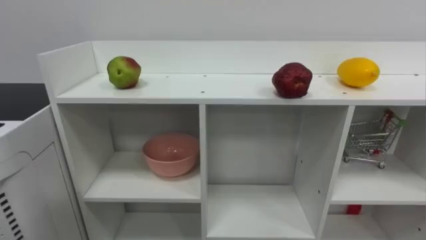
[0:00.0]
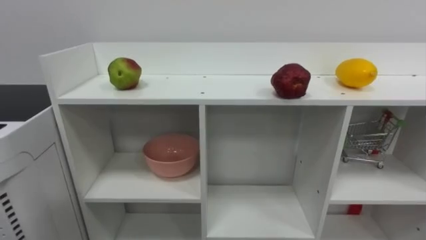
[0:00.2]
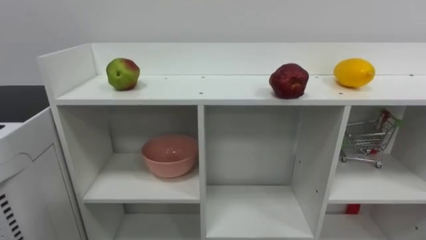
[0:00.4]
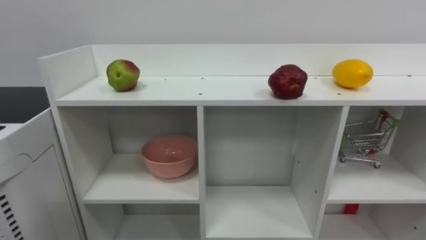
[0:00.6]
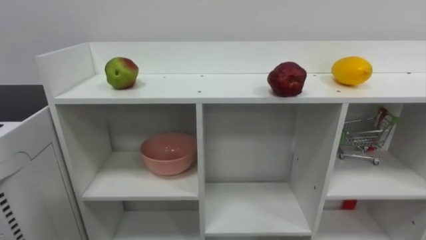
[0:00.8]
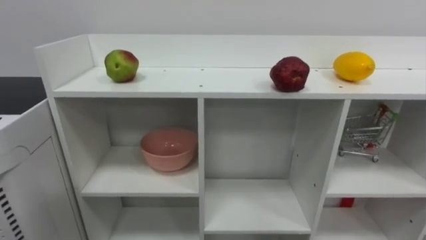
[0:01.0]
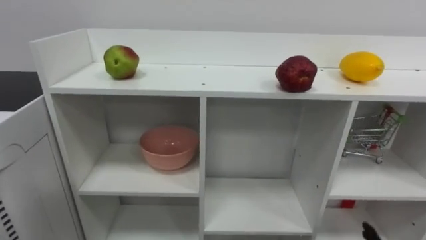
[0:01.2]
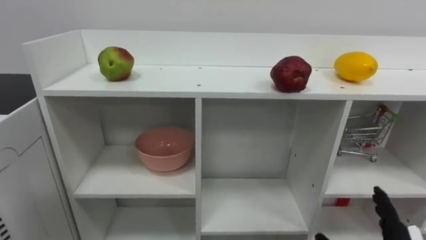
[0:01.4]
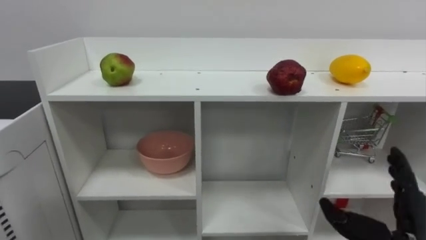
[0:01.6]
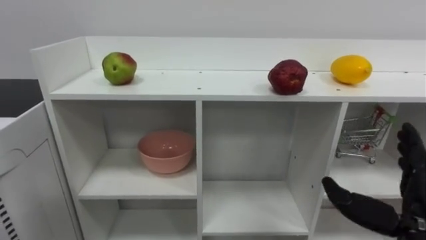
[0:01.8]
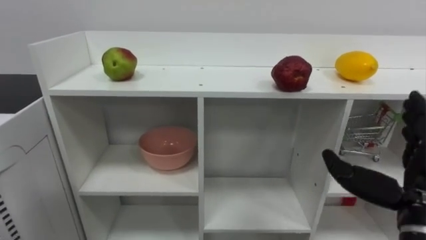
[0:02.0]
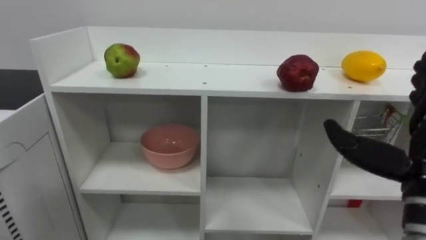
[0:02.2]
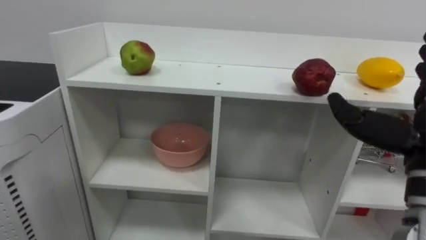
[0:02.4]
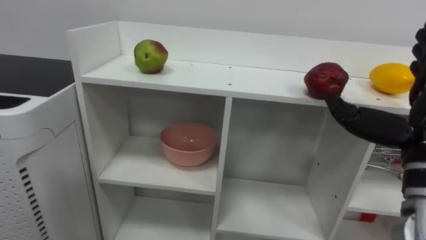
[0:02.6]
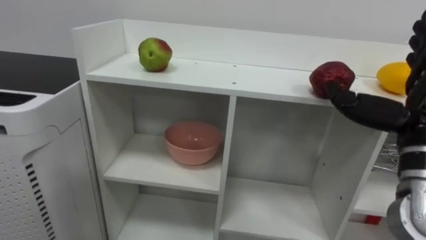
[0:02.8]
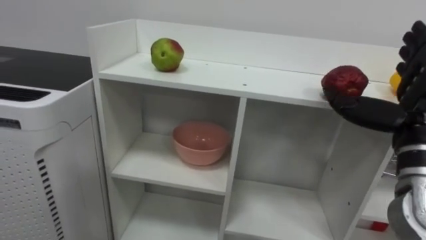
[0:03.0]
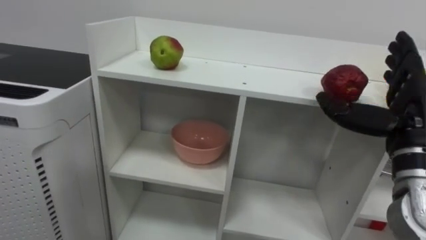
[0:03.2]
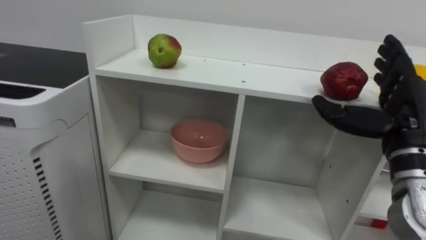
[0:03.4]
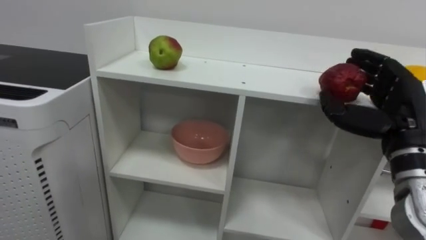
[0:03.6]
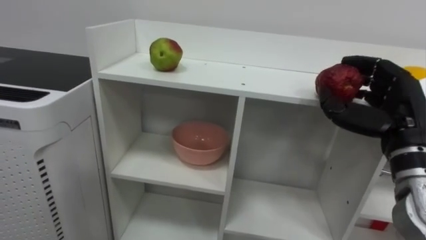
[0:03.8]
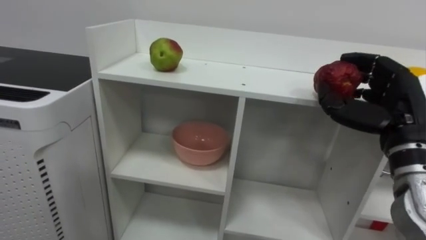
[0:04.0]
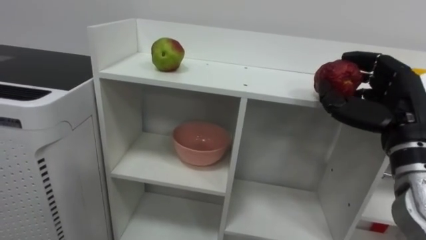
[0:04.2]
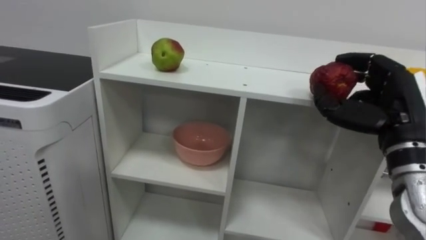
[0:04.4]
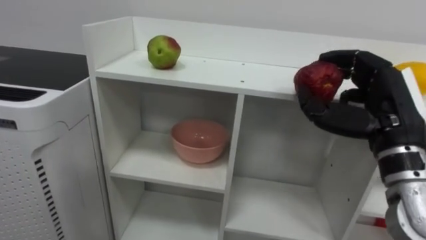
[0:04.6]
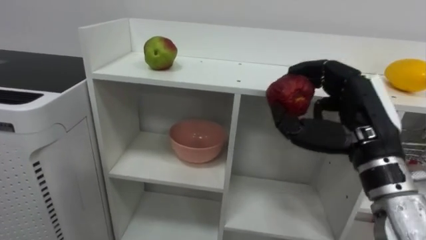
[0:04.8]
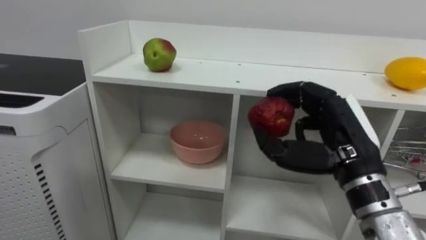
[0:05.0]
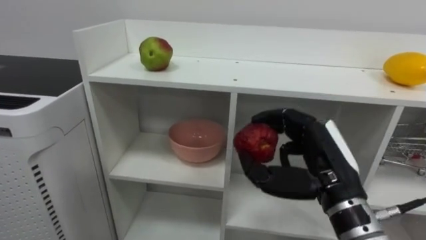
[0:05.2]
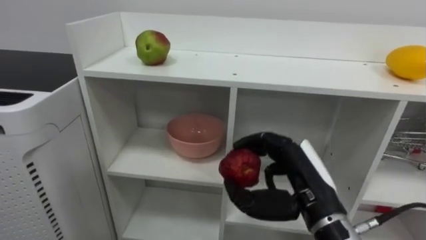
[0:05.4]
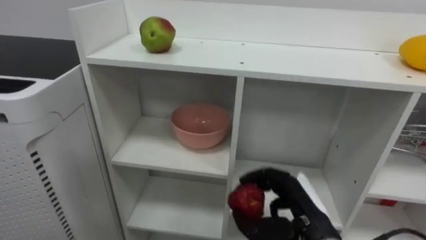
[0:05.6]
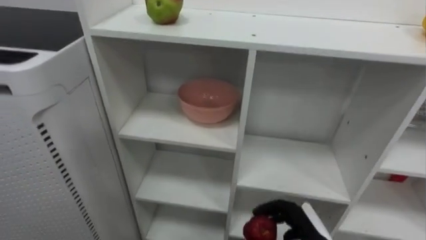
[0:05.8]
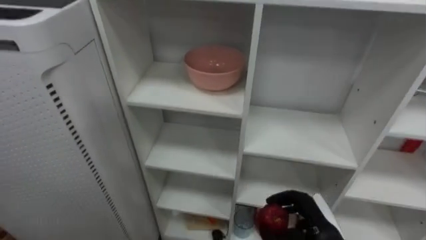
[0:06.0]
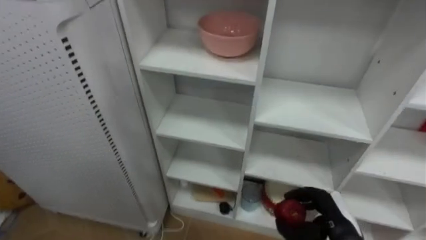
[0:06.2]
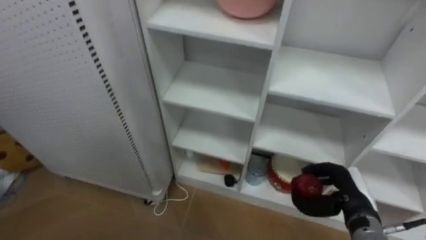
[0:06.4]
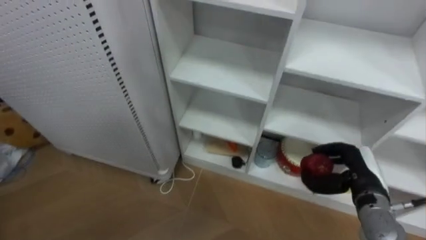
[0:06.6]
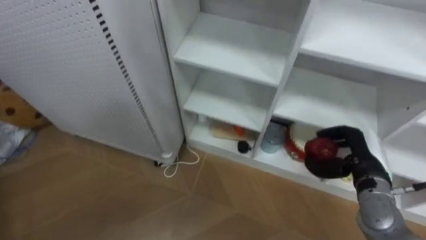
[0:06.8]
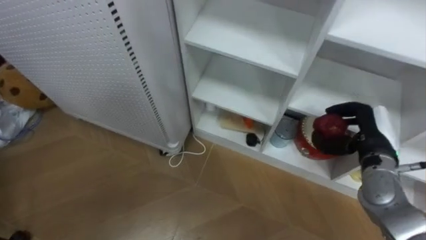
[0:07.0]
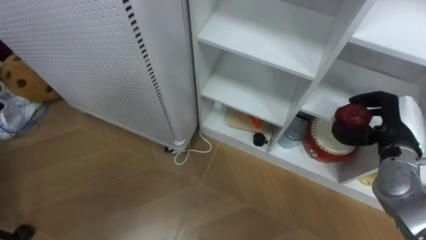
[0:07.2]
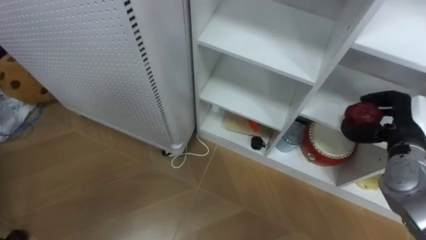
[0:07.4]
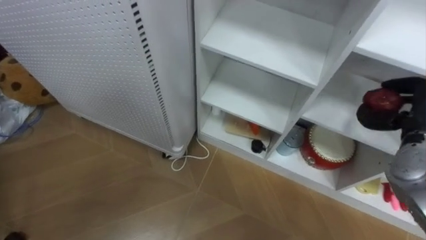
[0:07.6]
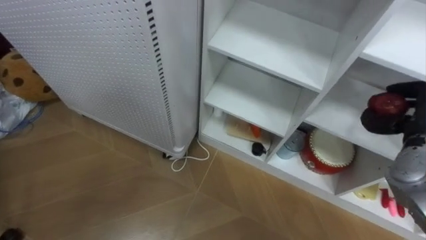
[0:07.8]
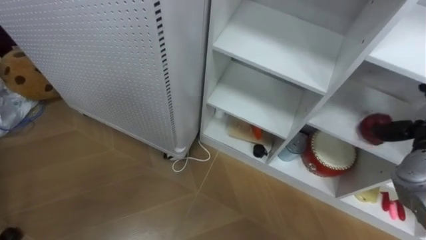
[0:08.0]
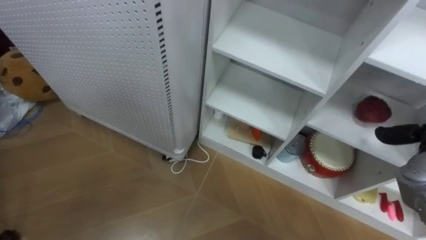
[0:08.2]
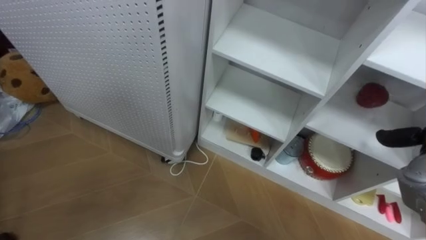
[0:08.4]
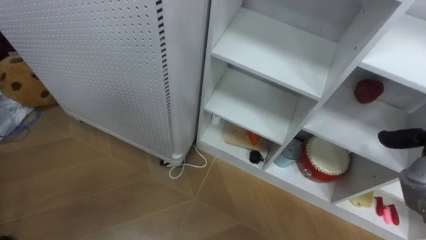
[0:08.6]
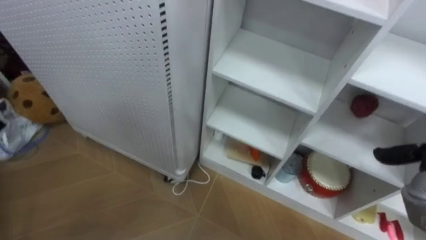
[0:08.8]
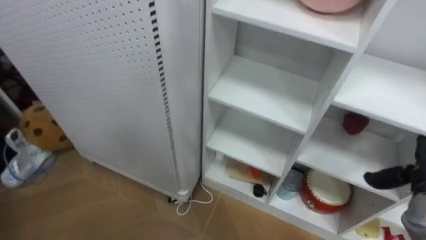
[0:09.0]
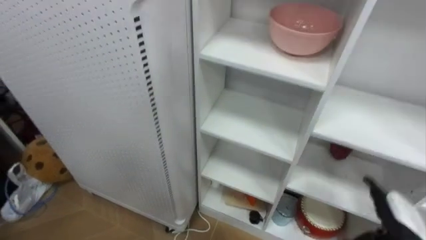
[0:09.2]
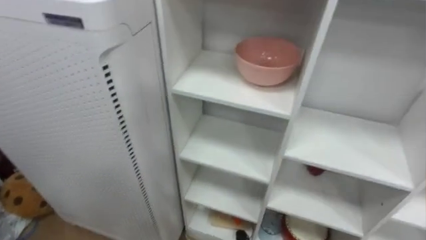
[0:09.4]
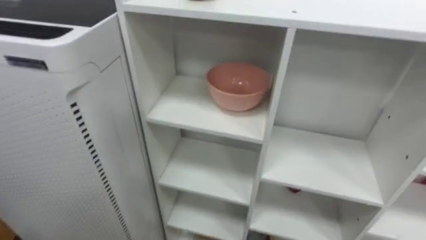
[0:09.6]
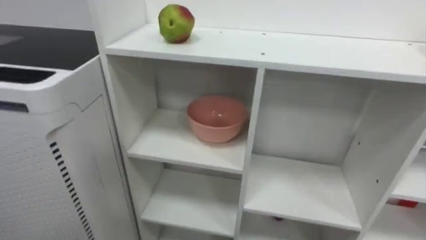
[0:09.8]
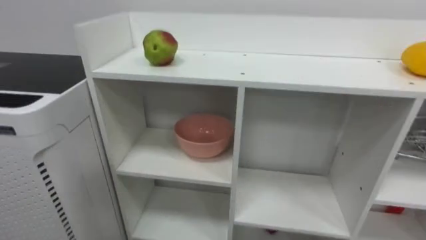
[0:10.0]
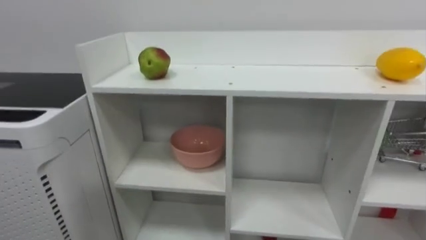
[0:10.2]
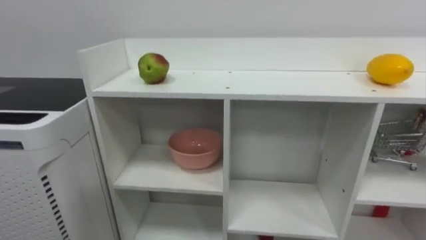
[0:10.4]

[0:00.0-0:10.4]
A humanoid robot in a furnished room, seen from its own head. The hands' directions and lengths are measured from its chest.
Task of the whole recording: Put the apple in the cell in the second column from the left and the second row from the top.
0:03.0 to 0:04.4: The right hand closes.
0:04.4 to 0:06.0: The right hand travels downward by roughly 25 cm.
0:06.0 to 0:07.4: The right hand moves upward, to the right and forward, approximately 25 cm.

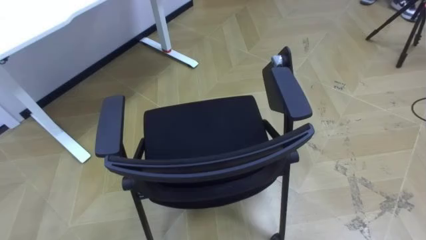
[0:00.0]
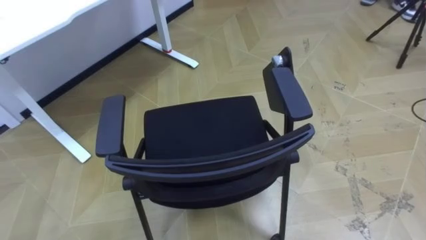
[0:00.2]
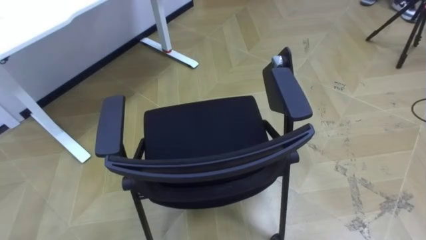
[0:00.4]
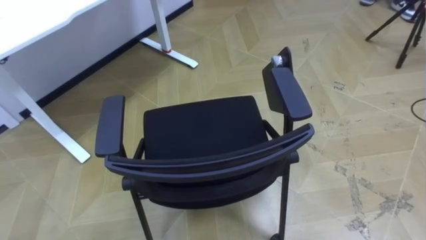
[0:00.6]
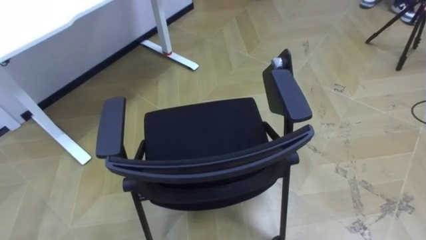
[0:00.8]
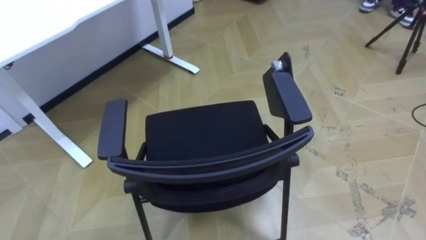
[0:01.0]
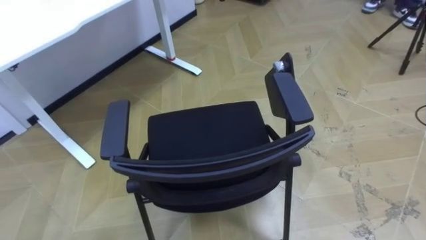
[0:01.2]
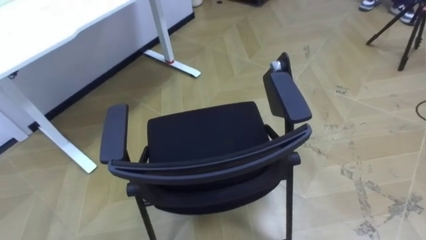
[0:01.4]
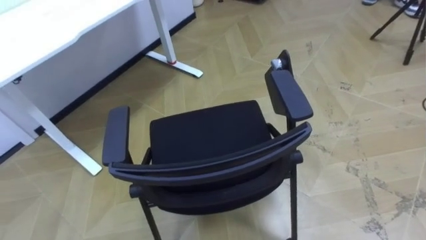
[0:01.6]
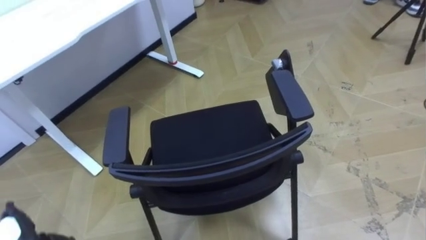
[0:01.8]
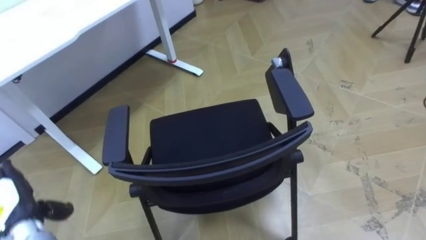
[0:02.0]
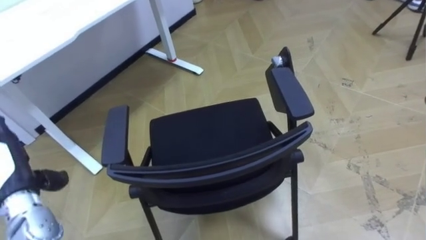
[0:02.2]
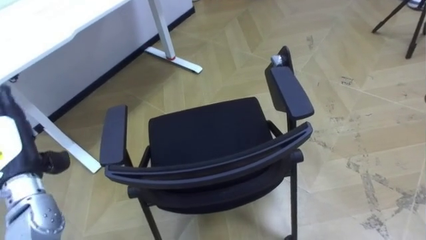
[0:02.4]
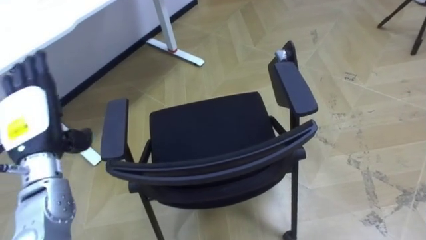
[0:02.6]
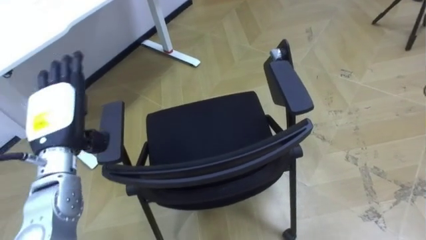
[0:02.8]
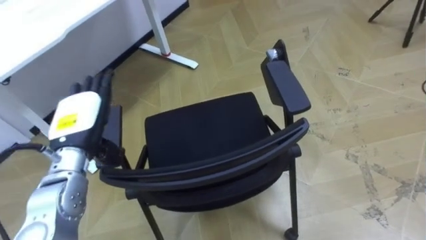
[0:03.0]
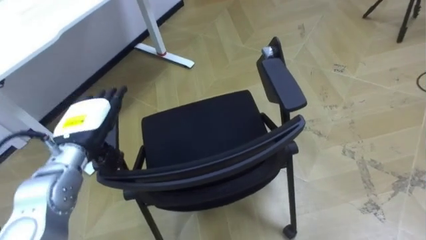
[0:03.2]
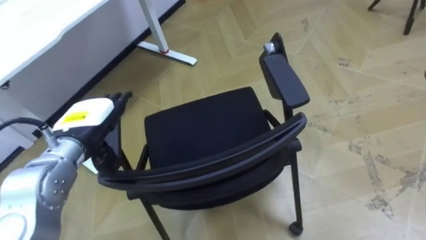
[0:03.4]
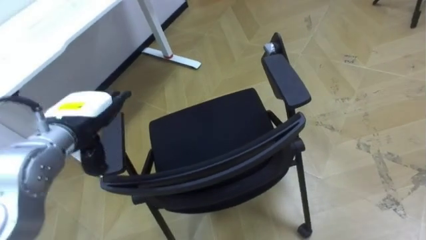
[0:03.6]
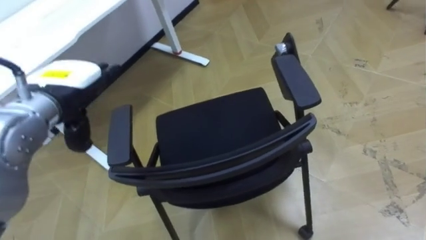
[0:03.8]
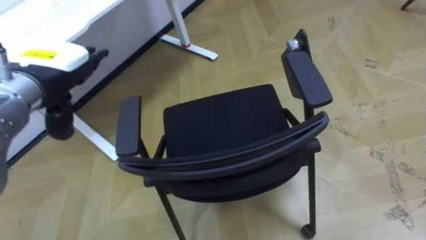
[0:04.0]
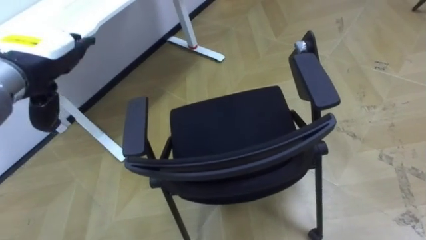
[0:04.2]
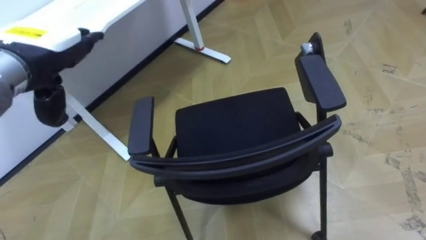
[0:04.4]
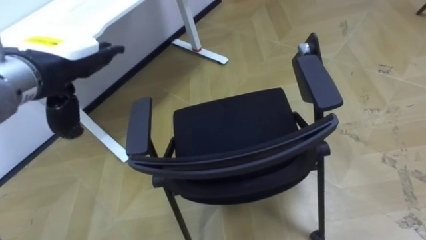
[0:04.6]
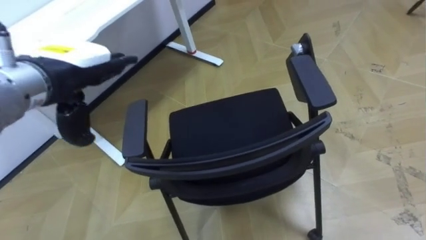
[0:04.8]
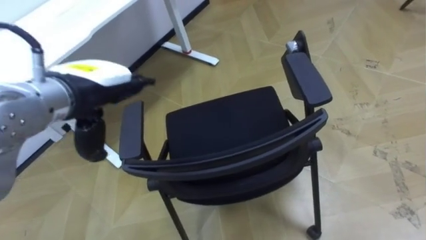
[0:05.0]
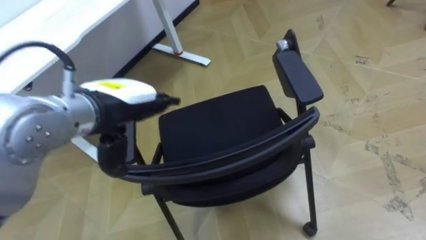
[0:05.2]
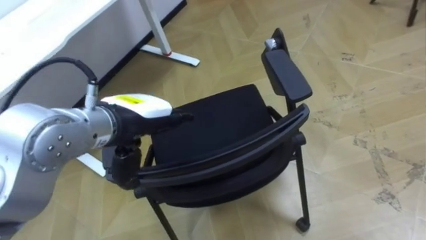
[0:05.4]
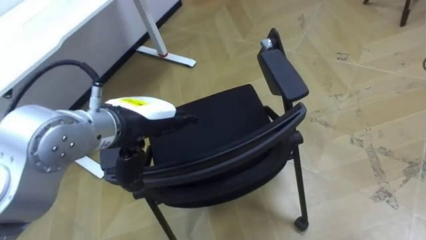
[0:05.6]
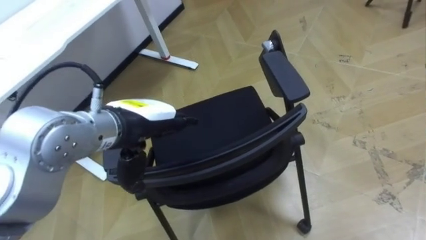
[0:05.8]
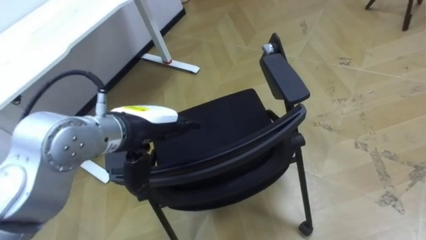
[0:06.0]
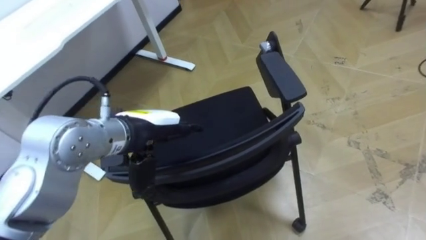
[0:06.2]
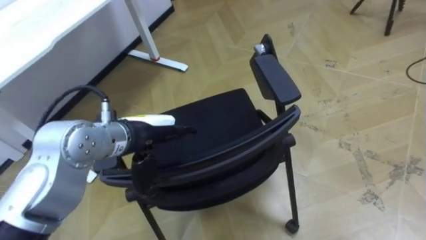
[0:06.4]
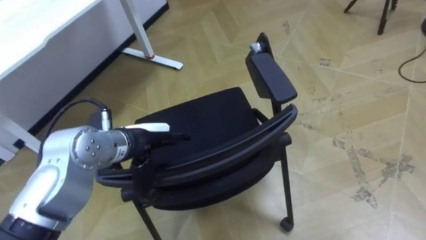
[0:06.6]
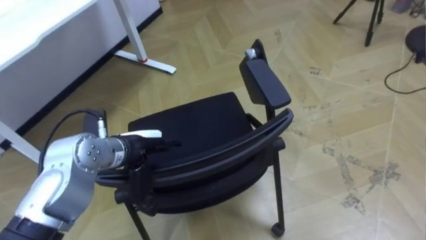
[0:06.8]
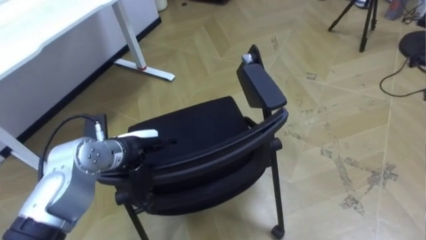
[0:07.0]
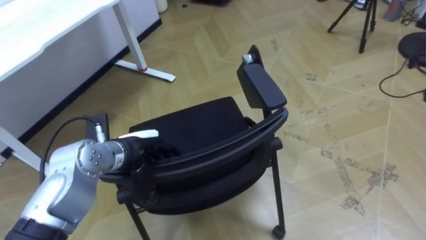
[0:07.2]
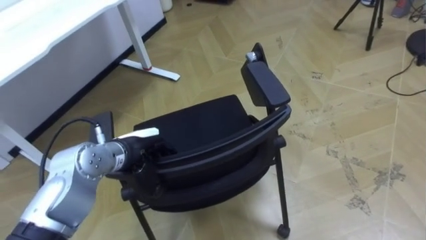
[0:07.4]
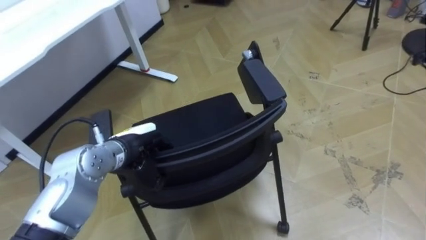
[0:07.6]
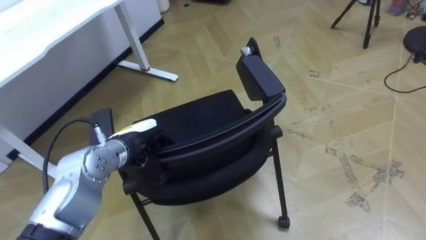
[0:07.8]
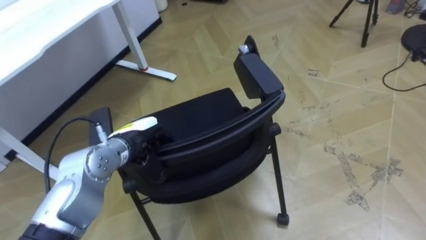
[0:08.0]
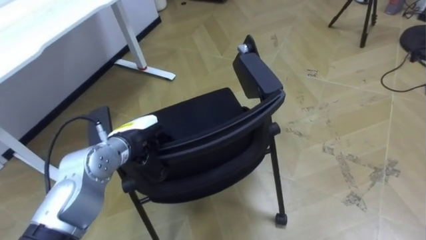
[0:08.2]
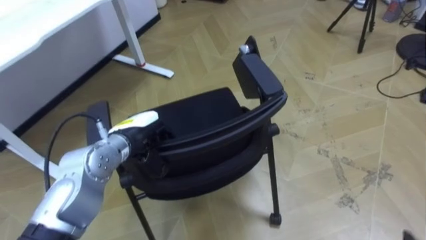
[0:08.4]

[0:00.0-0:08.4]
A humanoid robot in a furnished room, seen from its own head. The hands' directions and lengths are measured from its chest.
Task of the whole recording: Push the chair under the table.
0:02.8 to 0:04.2: The left hand is displaced upward by about 10 cm.
0:04.2 to 0:05.6: The left hand moves to the right and downward, about 15 cm.
0:05.6 to 0:07.0: The left hand is displaced downward by some 10 cm.
0:07.0 to 0:08.4: The left hand closes up.
